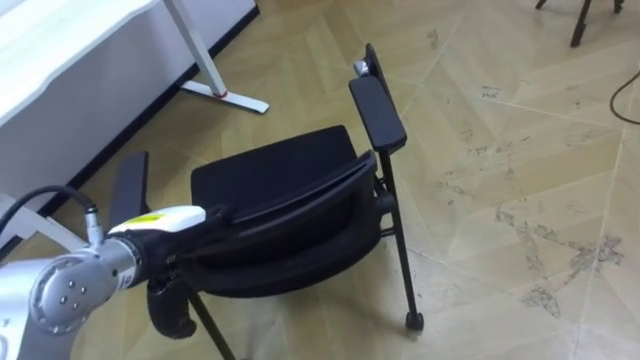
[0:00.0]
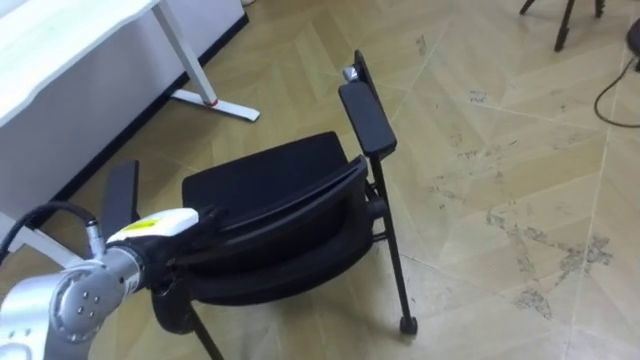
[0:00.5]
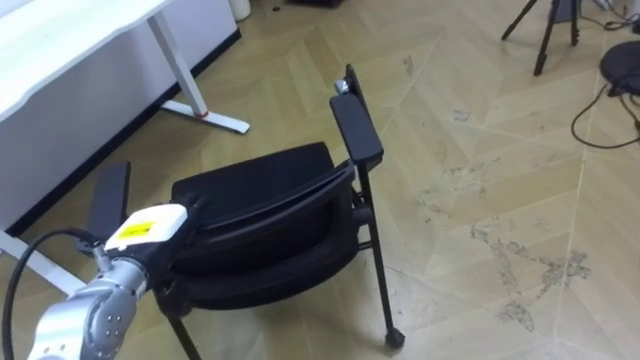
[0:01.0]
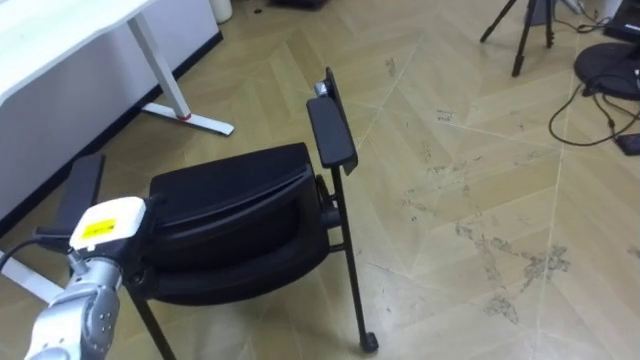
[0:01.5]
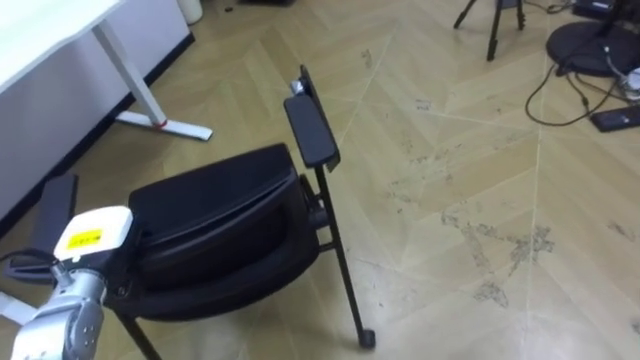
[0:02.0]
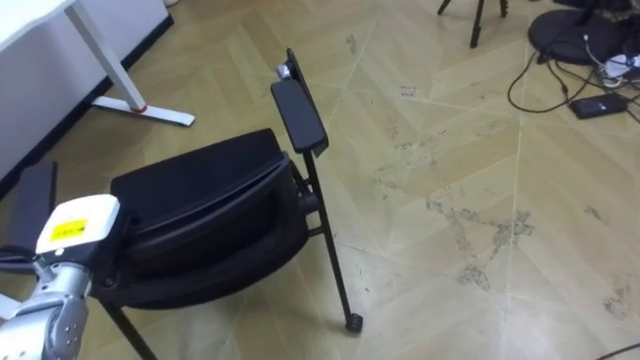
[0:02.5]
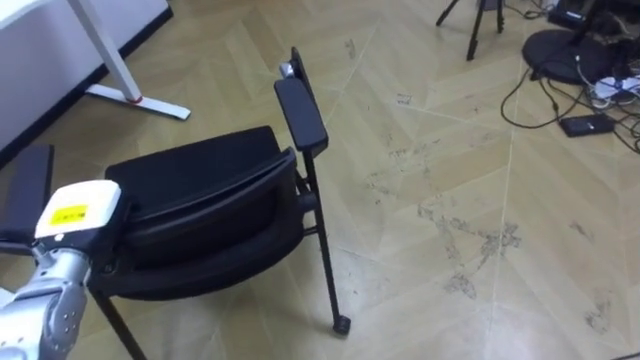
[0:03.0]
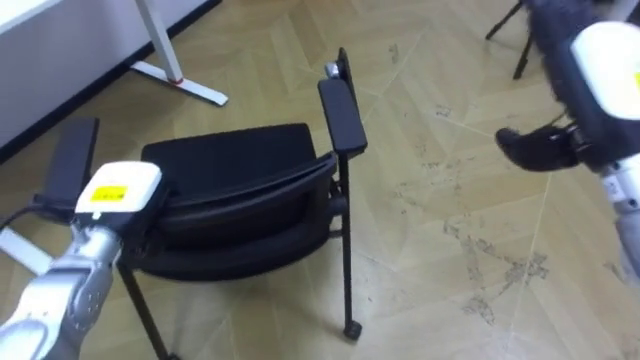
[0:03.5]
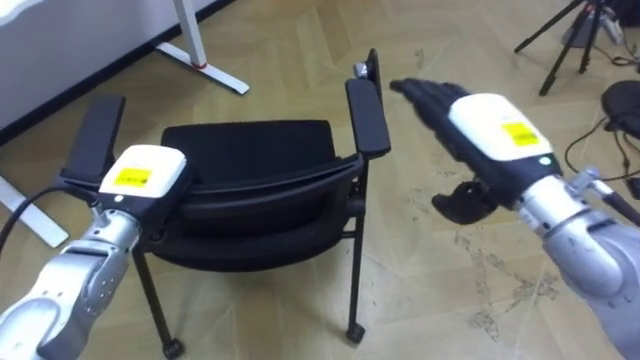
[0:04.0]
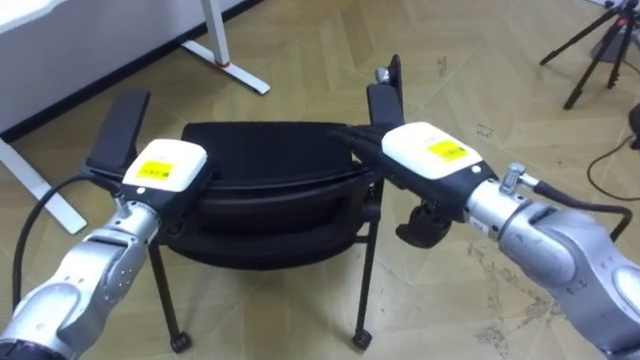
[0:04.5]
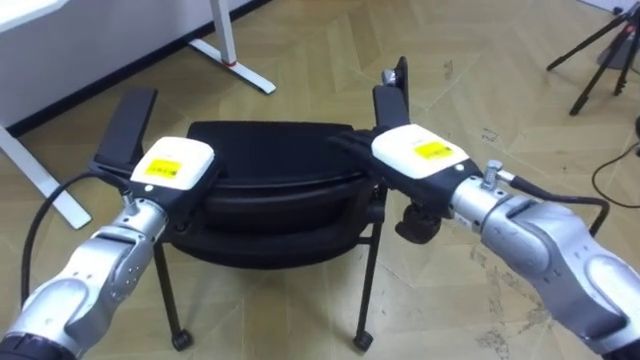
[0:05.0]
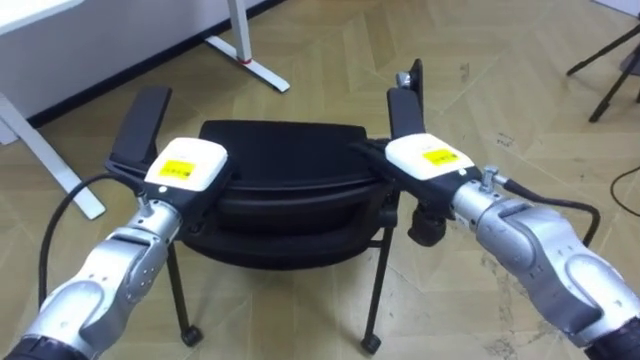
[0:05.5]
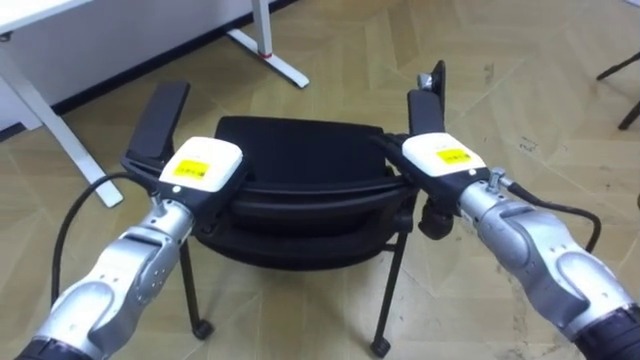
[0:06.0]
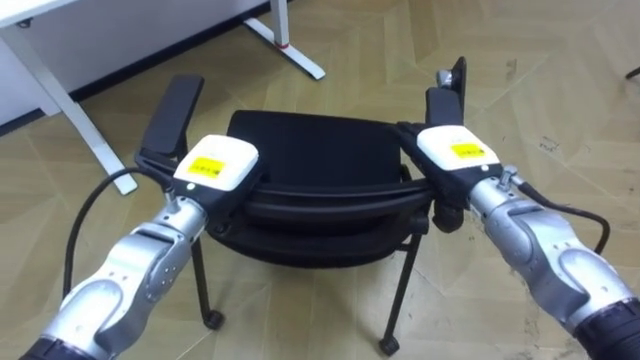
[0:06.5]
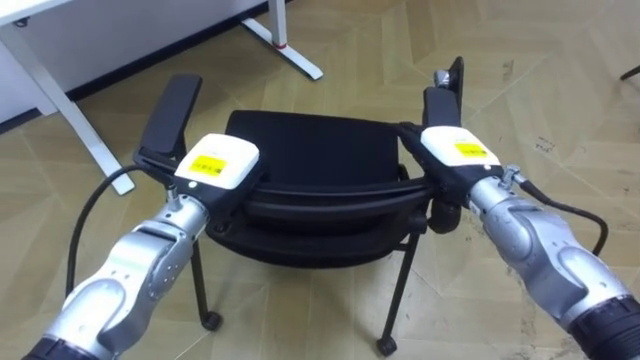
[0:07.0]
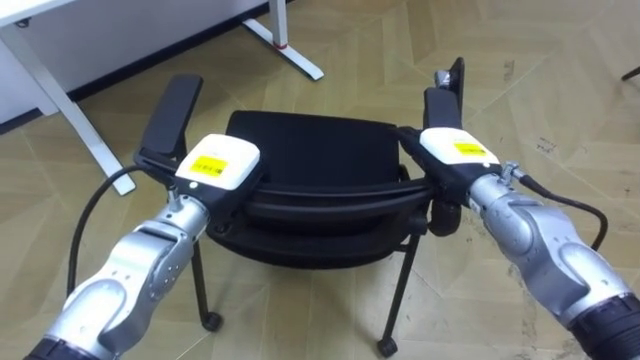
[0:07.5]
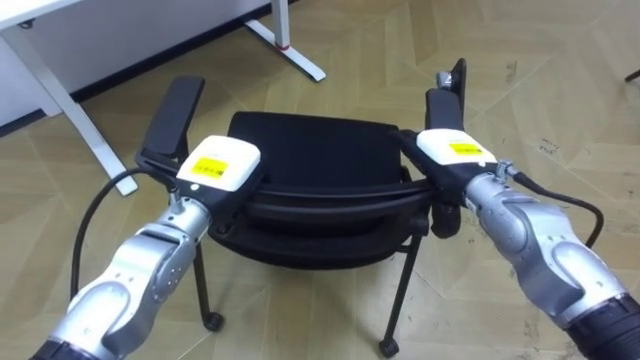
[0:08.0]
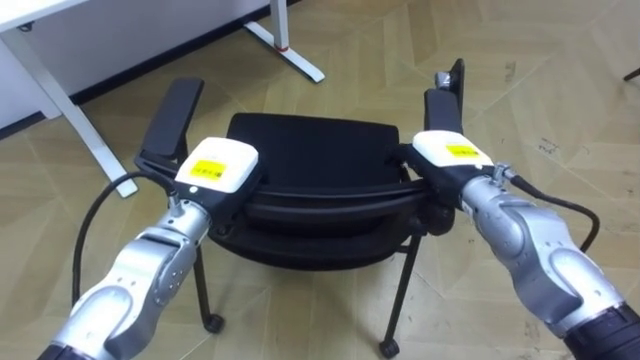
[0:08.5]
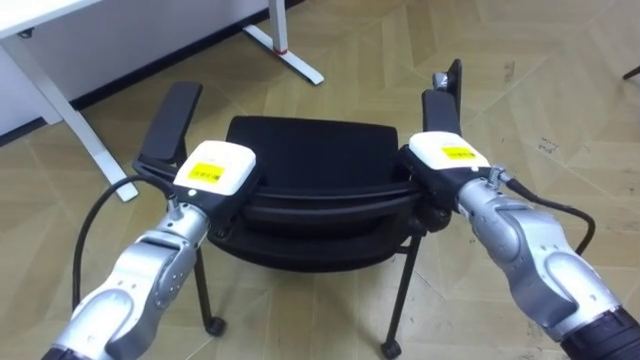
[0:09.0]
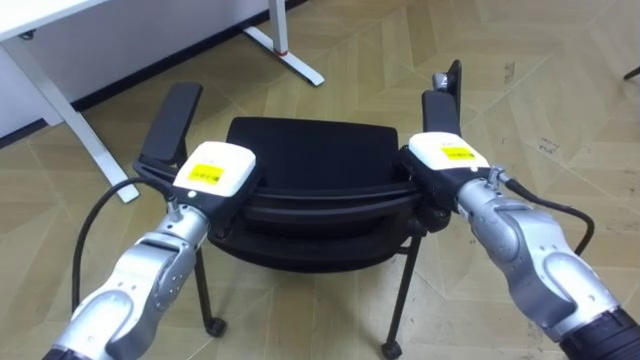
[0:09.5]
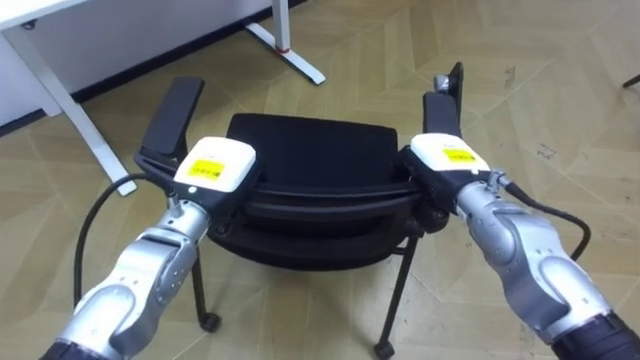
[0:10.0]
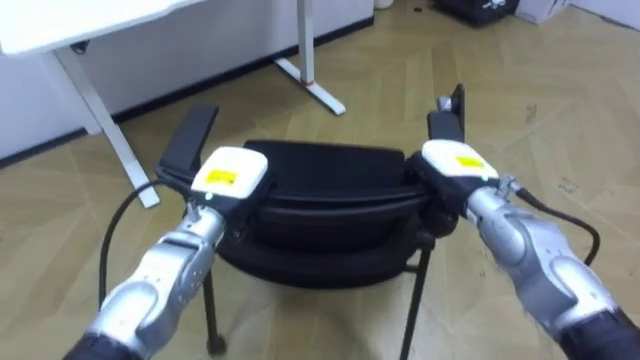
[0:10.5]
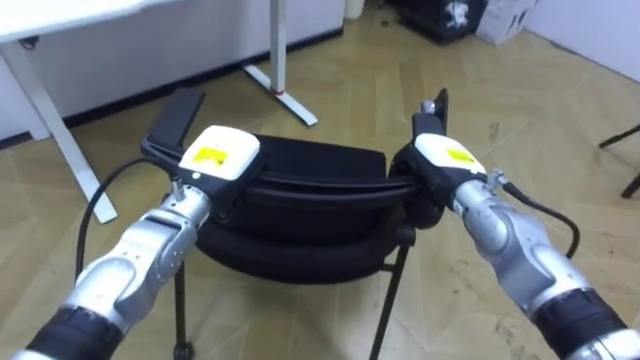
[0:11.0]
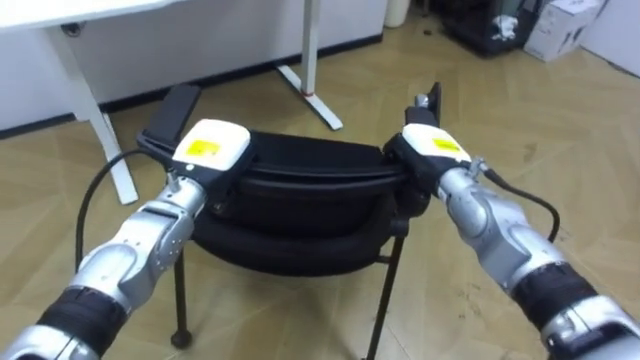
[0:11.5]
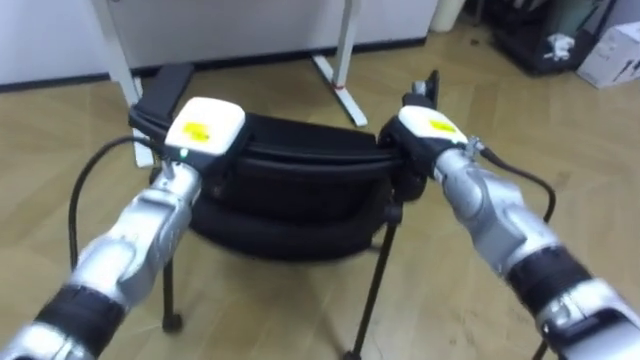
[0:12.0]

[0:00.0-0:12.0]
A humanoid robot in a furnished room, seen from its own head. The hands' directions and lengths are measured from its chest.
Task of the whole recording: Push the chair under the table.
0:00.0 to 0:02.0: The left hand travels to the left and downward by about 10 cm, and closes up.
0:02.0 to 0:04.0: The left hand heads to the right, forward and upward, covering roughly 10 cm.
0:04.0 to 0:06.0: The right hand travels downward by roughly 10 cm, while the left hand moves to the right, roughly 5 cm.
0:08.0 to 0:10.0: The right hand closes.
0:10.0 to 0:12.0: The right hand ends up approximately 5 cm from where it was.

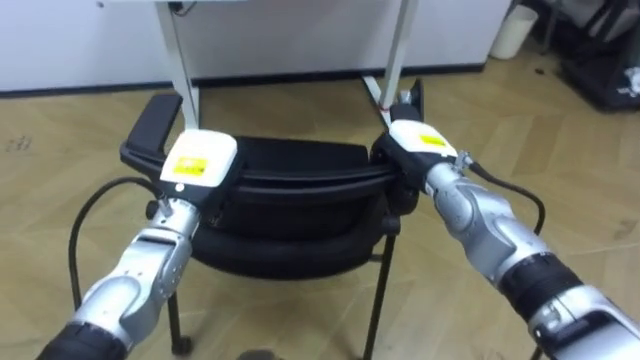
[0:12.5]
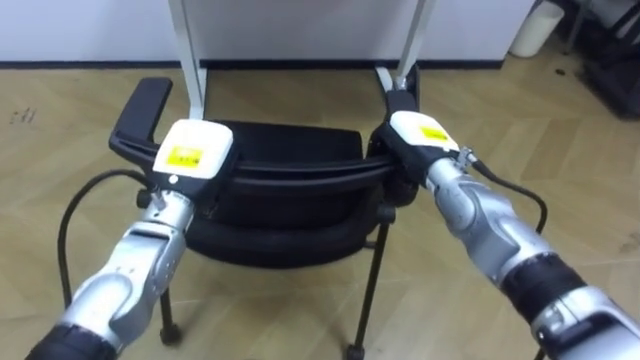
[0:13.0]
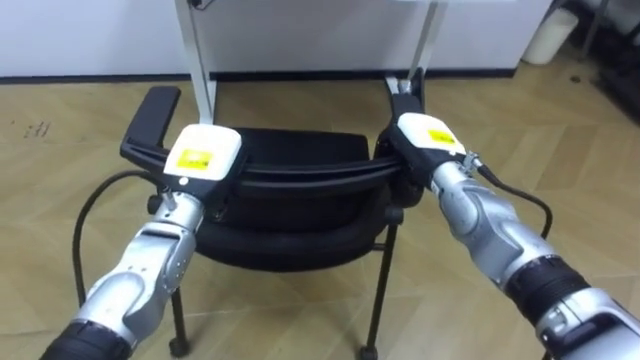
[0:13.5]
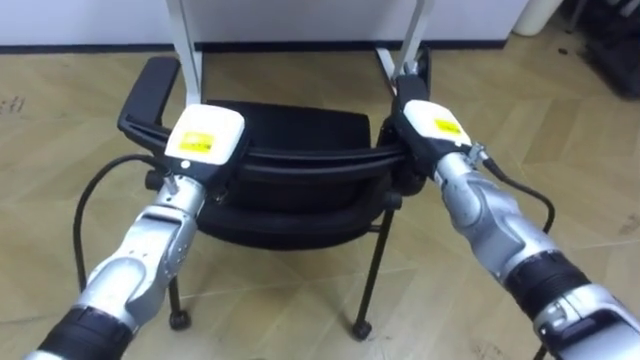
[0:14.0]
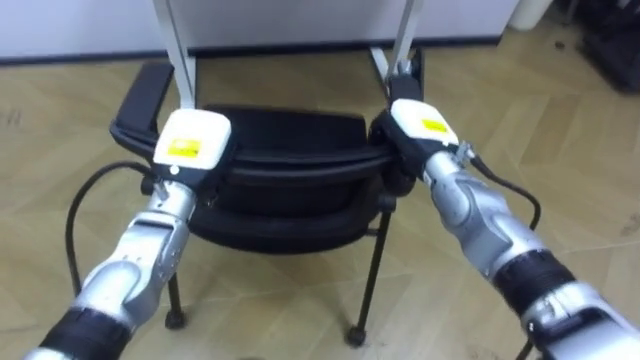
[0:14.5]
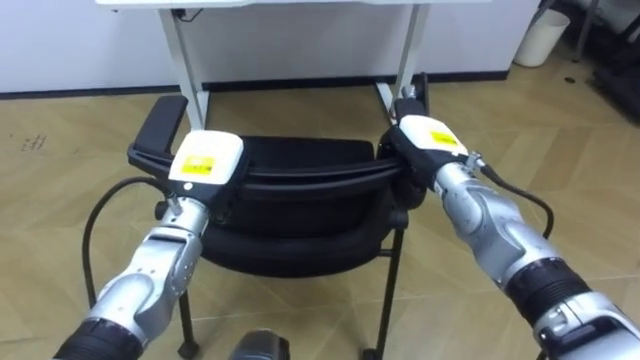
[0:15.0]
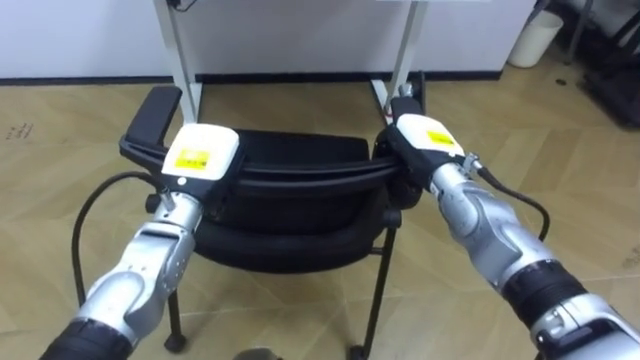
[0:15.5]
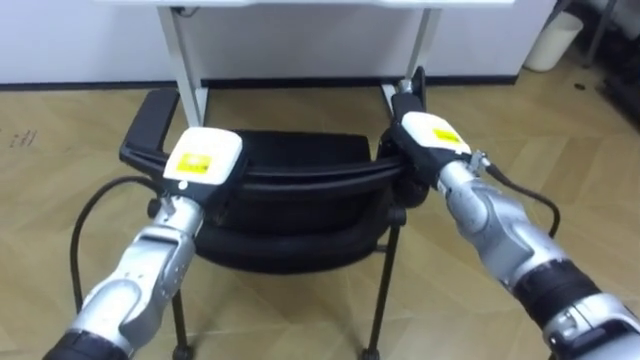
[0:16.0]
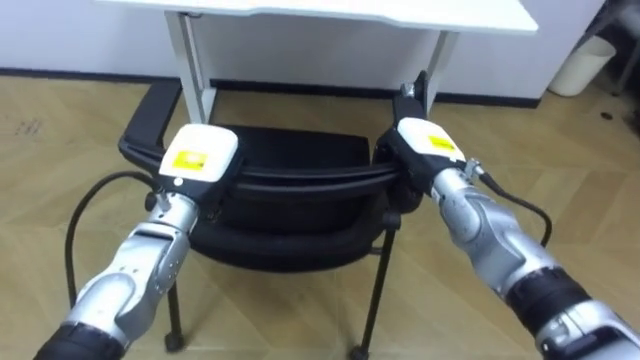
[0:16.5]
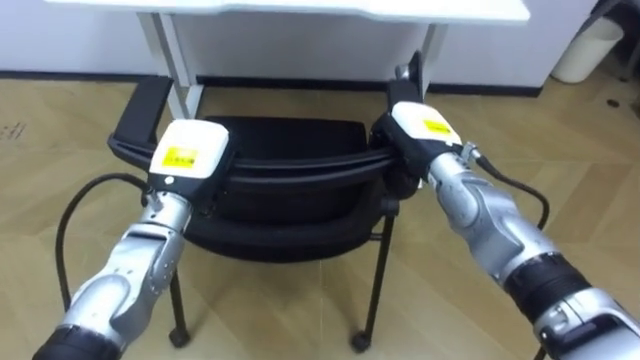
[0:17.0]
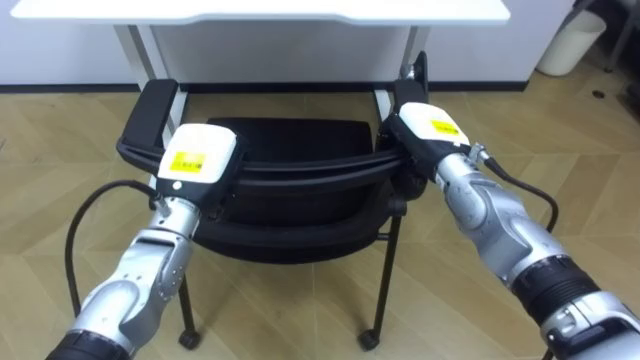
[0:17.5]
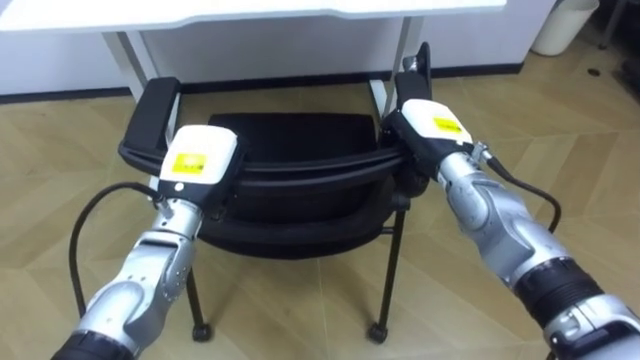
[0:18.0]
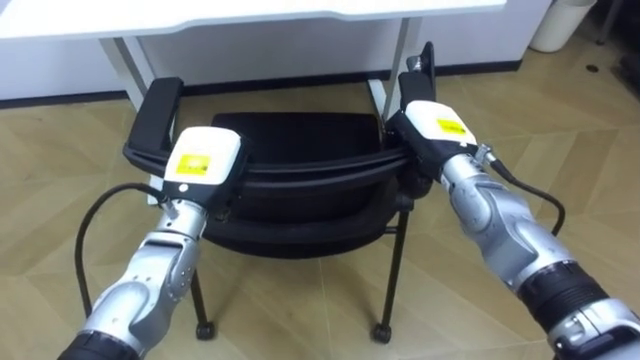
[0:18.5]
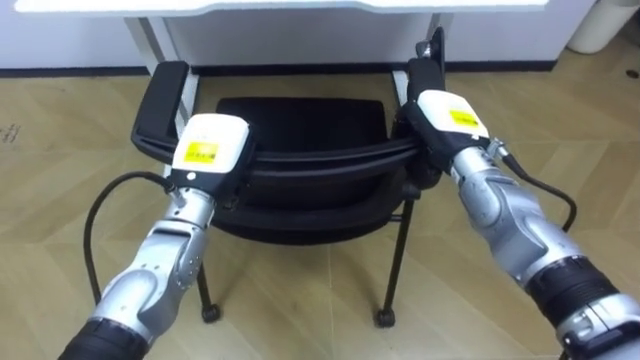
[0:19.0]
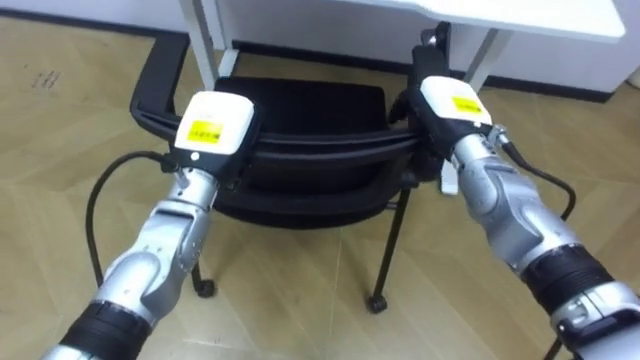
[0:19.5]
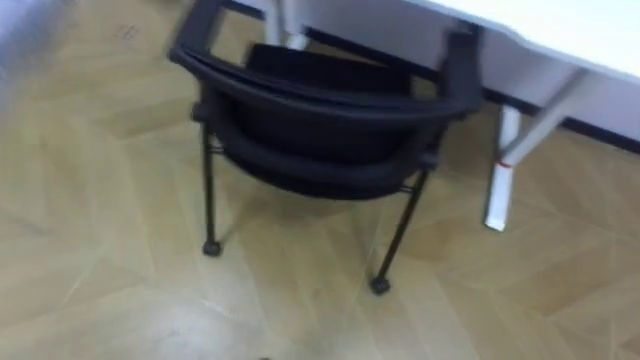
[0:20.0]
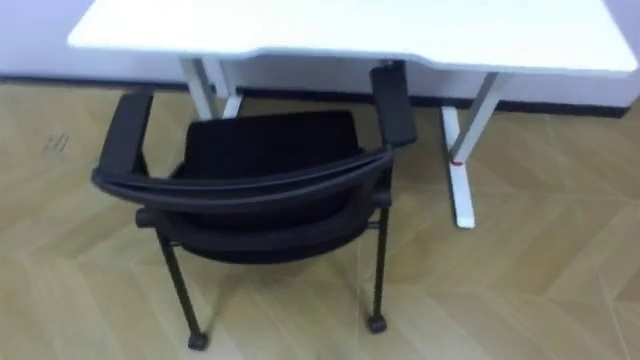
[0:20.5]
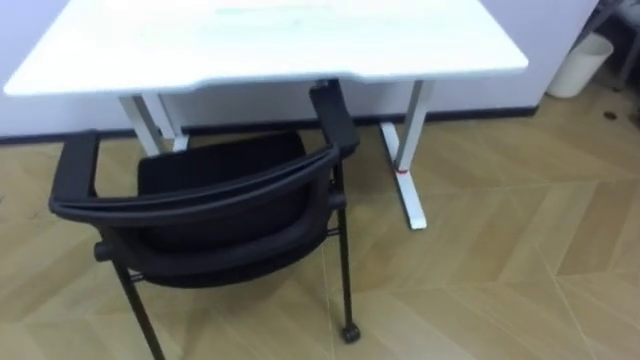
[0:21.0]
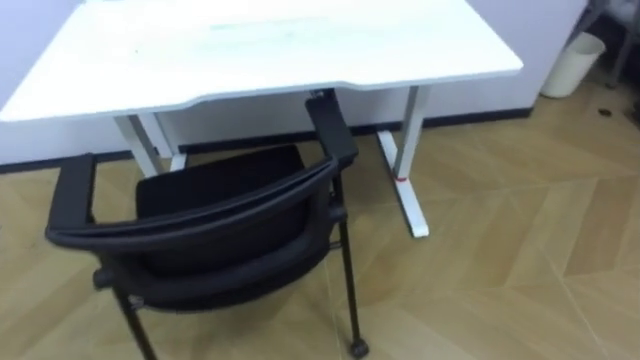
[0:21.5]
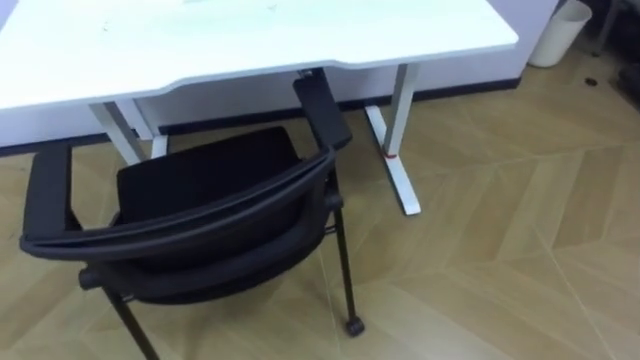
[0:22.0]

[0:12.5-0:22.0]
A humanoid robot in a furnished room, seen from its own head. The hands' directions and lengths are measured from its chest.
Task of the whole recording: Push the chair under the table.
0:18.0 to 0:20.0: The robot's body swings approximately 20 degrees to its left.
